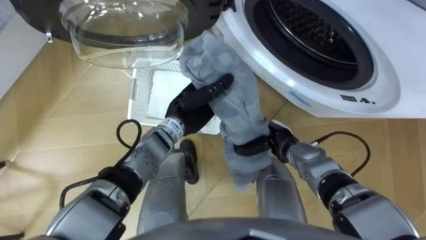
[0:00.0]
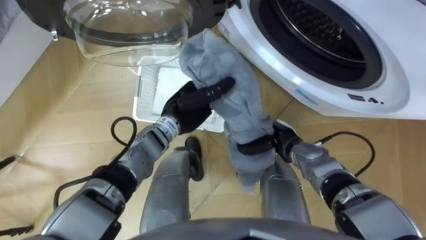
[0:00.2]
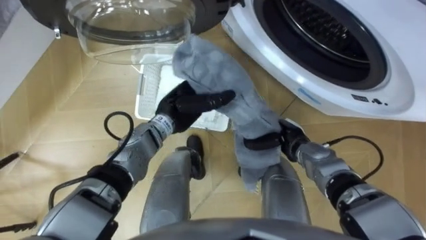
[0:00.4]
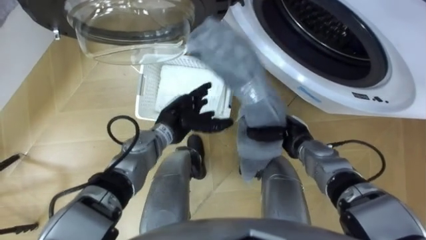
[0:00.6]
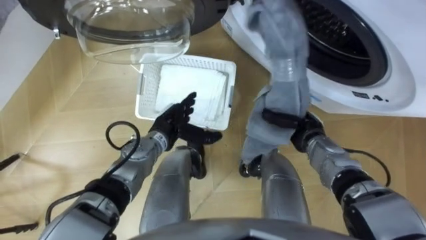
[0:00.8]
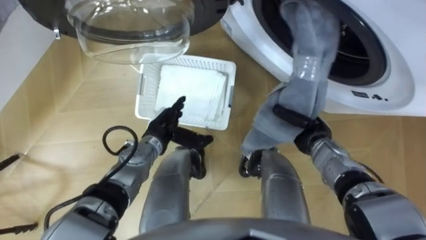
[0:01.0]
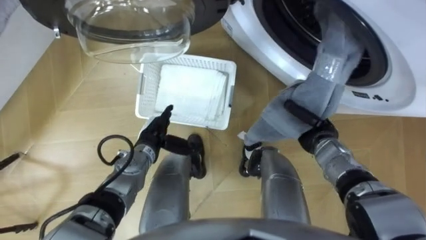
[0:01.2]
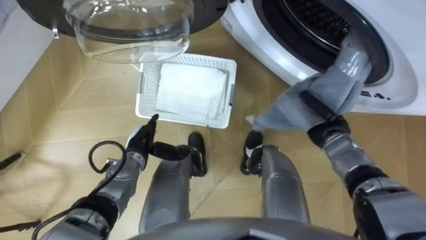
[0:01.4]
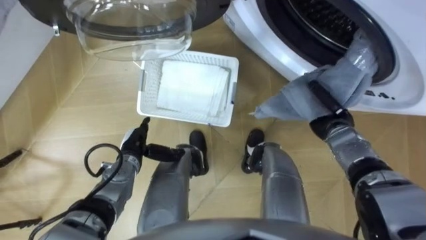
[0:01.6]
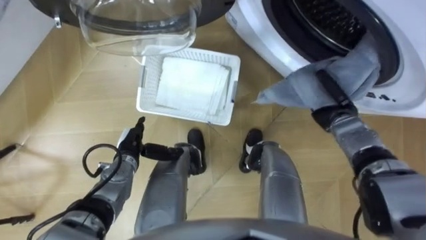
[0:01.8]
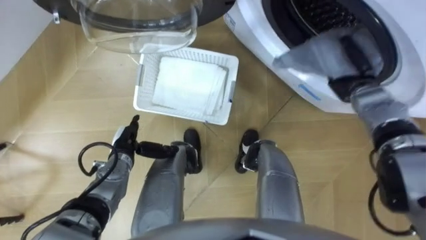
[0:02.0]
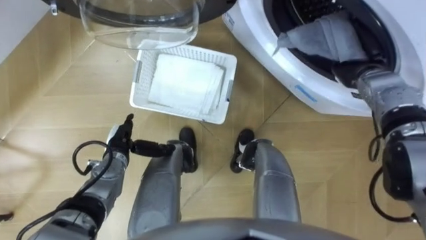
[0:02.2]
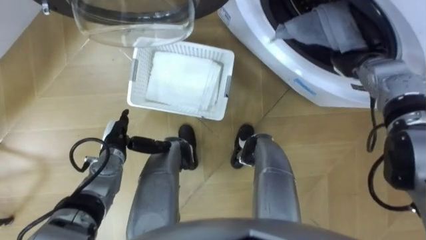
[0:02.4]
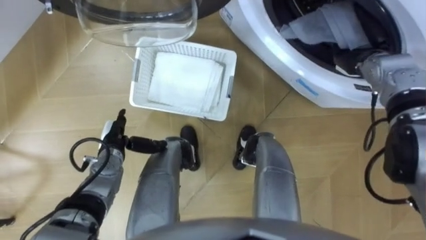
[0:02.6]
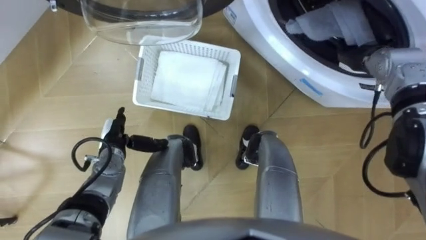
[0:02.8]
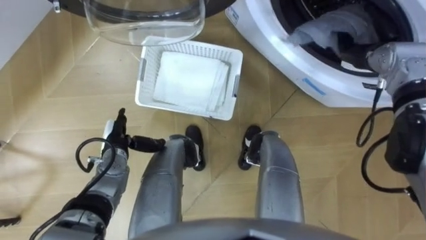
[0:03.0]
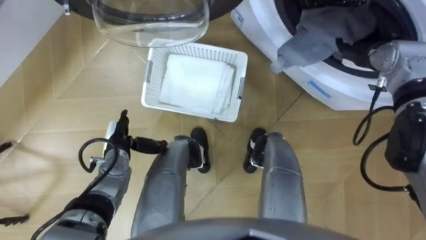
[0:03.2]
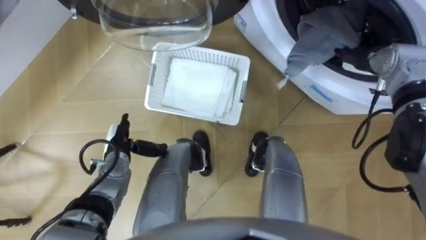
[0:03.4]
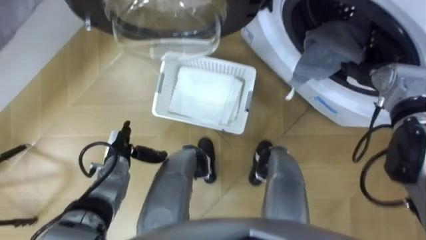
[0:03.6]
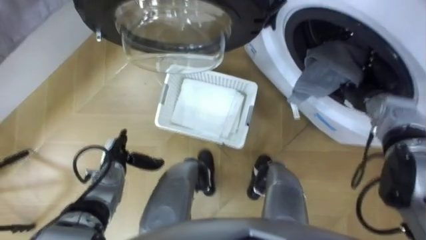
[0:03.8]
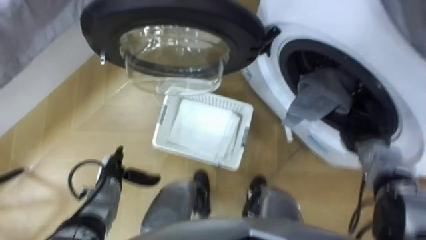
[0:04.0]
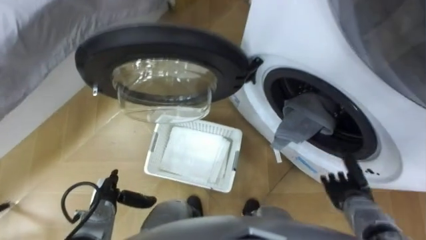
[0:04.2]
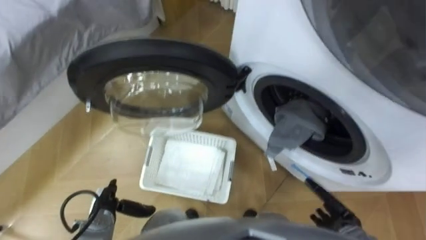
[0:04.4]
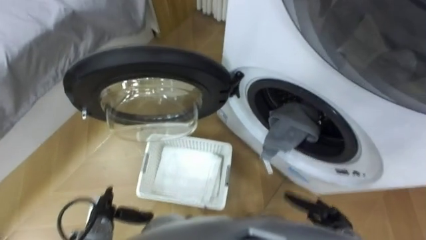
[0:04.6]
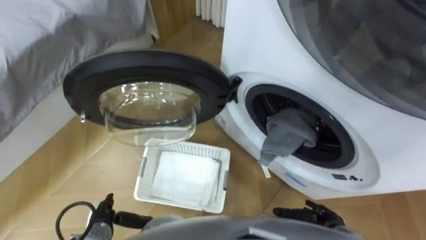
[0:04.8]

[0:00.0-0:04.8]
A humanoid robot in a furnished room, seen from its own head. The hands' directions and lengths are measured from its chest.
Task of the whole recording: Take the towel from the basket and put it into the washing machine.
0:00.0 to 0:01.6: The right hand heads to the right, covering about 10 cm, while the left hand is displaced to the left, downward and backward by roughly 20 cm, and opens its fingers.
0:01.6 to 0:03.2: The right hand goes about 15 cm upward and forward, and opens up.
0:03.2 to 0:04.8: The left hand goes about 15 cm backward; the right hand shifts approximately 40 cm backward and downward.

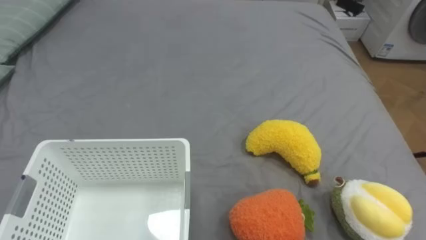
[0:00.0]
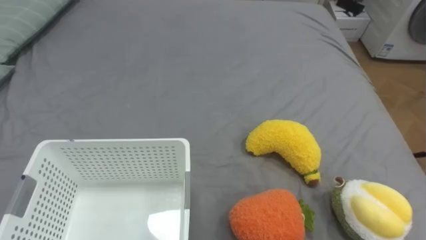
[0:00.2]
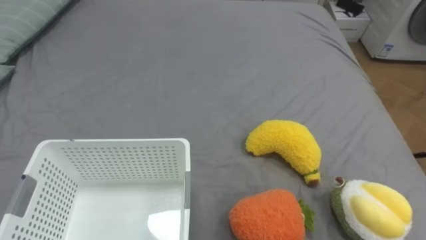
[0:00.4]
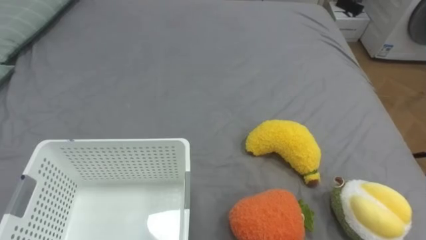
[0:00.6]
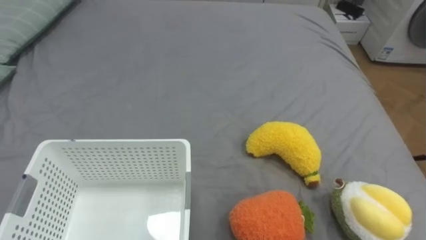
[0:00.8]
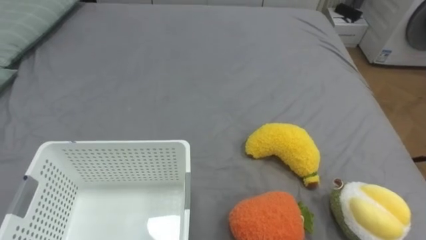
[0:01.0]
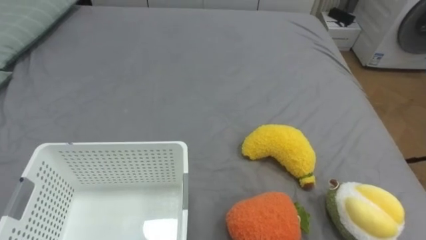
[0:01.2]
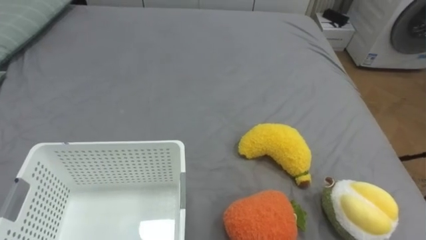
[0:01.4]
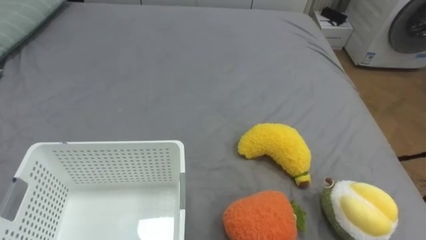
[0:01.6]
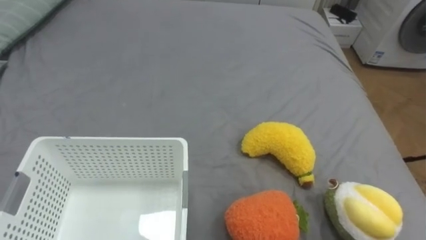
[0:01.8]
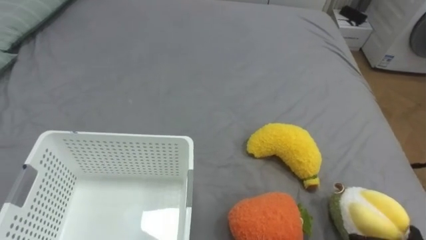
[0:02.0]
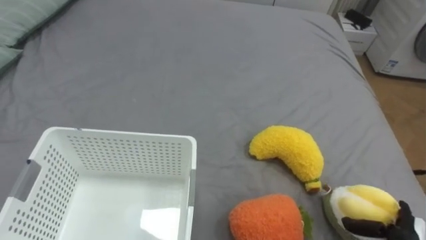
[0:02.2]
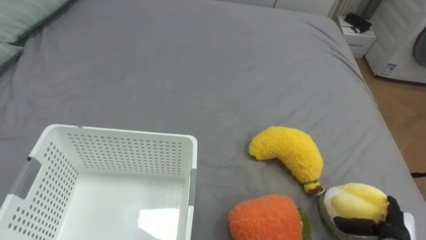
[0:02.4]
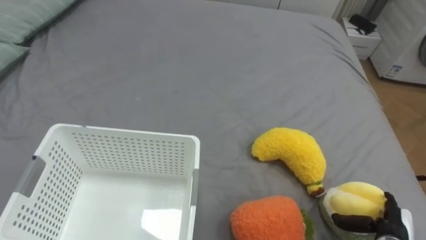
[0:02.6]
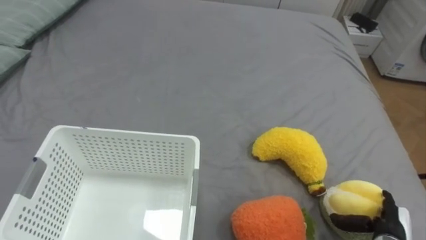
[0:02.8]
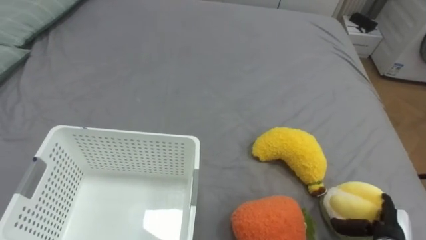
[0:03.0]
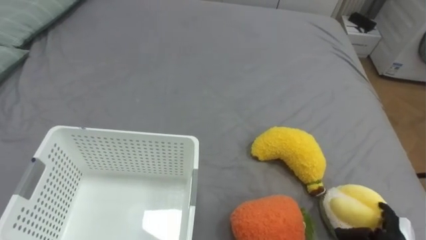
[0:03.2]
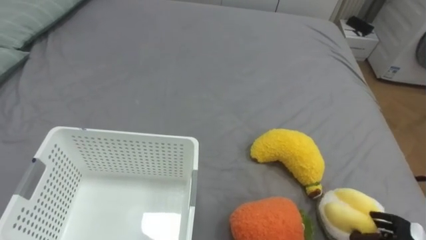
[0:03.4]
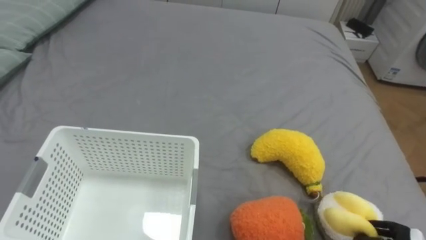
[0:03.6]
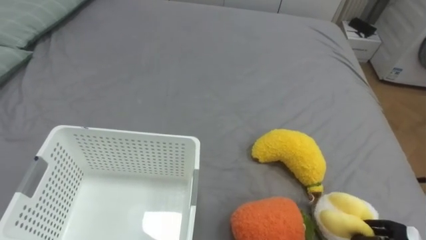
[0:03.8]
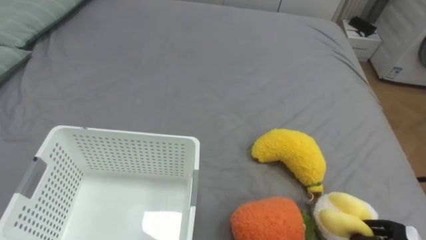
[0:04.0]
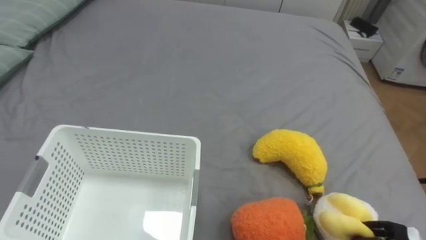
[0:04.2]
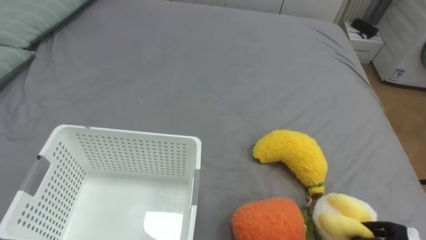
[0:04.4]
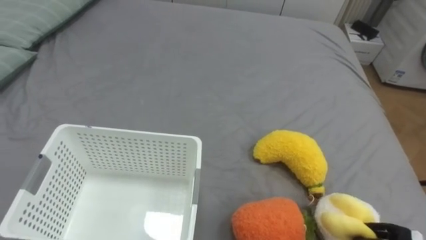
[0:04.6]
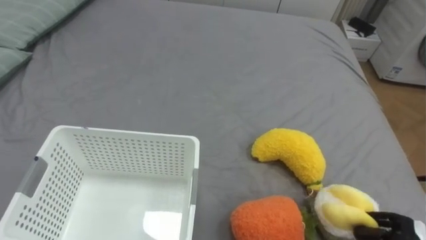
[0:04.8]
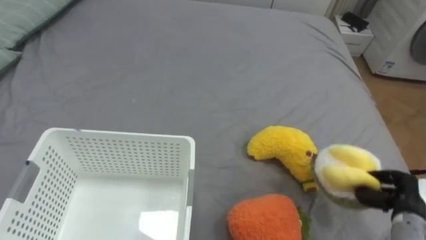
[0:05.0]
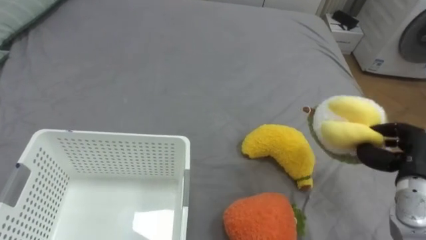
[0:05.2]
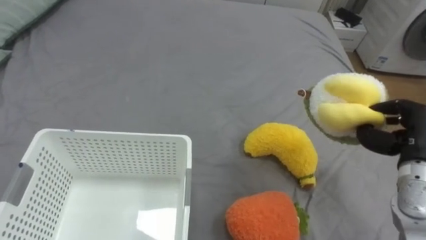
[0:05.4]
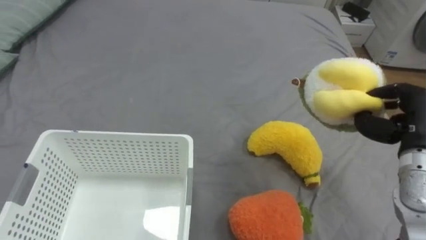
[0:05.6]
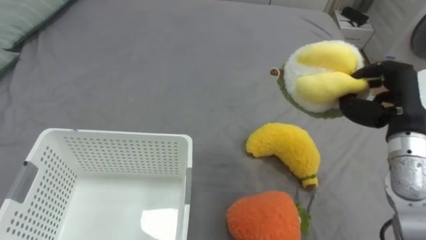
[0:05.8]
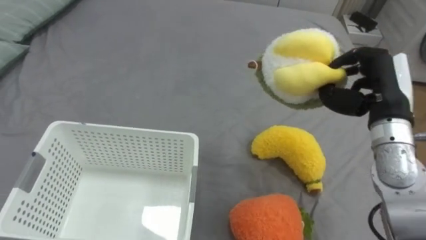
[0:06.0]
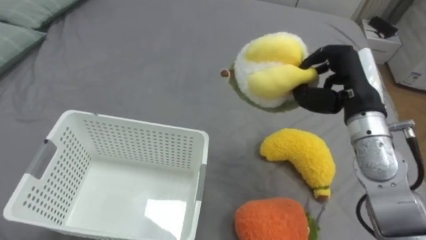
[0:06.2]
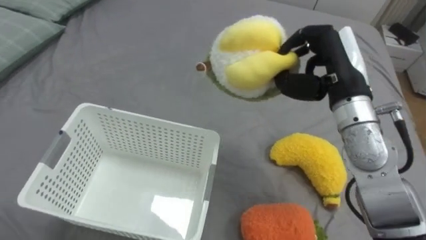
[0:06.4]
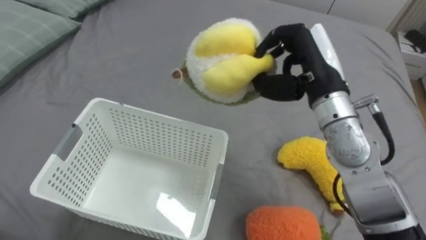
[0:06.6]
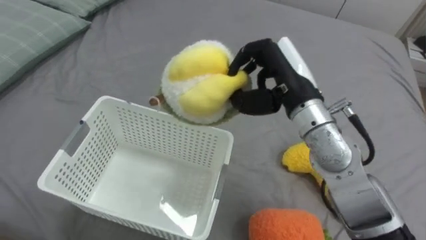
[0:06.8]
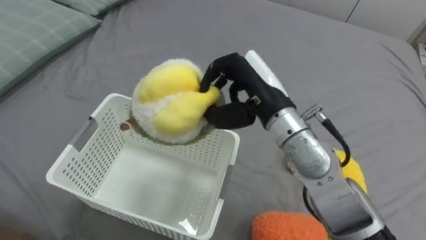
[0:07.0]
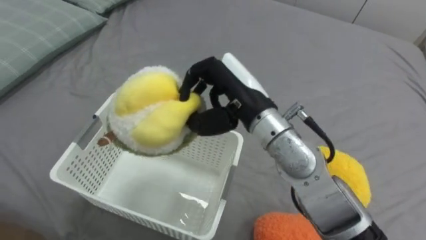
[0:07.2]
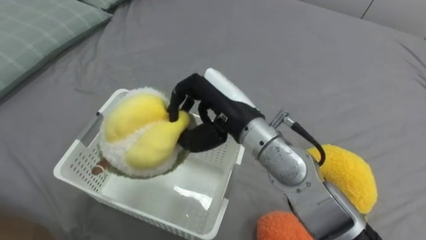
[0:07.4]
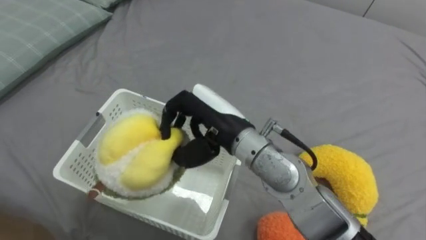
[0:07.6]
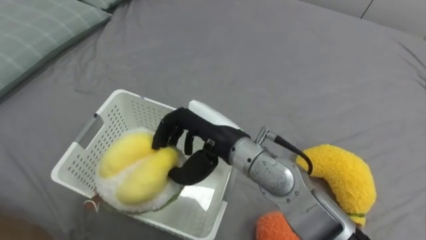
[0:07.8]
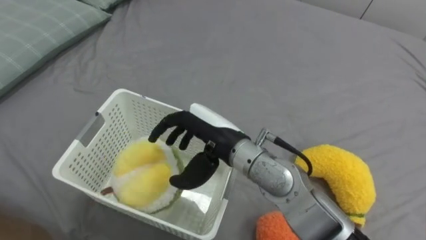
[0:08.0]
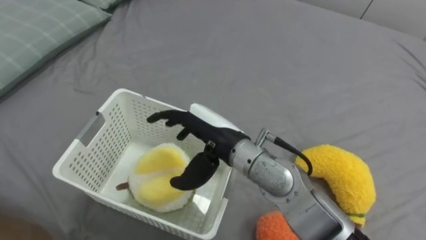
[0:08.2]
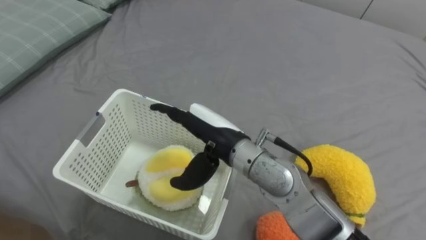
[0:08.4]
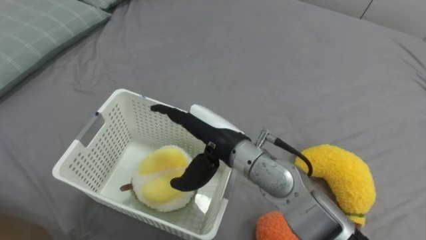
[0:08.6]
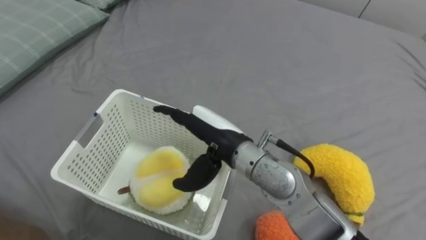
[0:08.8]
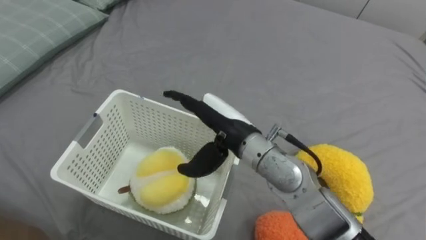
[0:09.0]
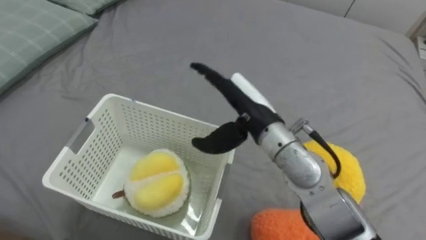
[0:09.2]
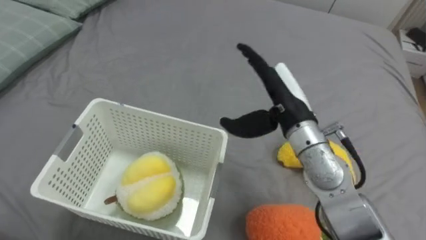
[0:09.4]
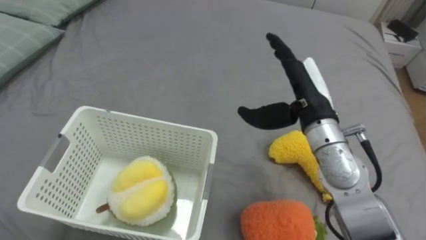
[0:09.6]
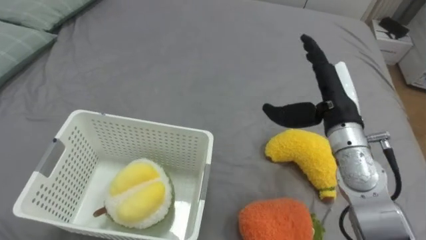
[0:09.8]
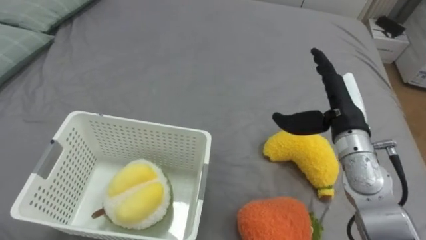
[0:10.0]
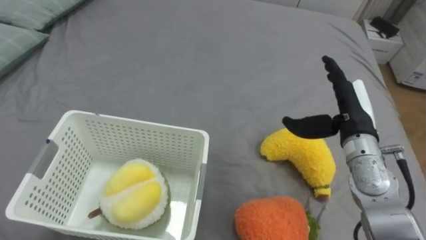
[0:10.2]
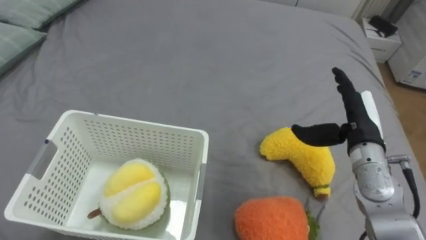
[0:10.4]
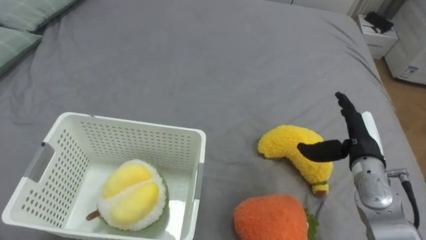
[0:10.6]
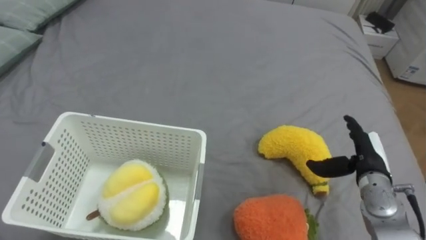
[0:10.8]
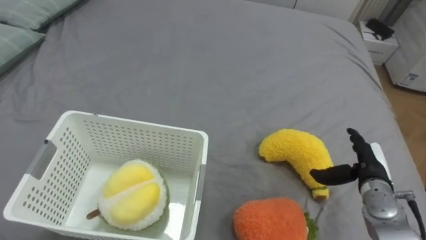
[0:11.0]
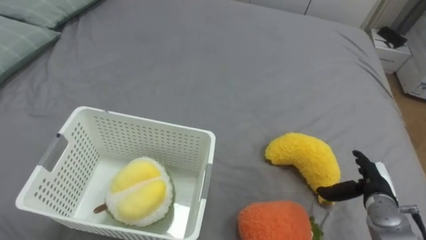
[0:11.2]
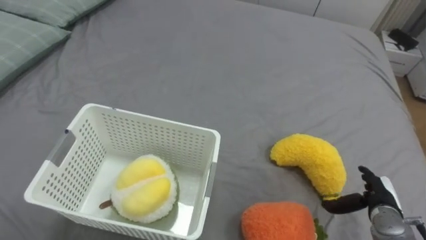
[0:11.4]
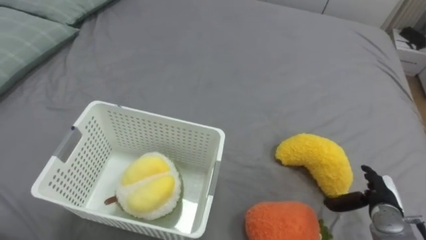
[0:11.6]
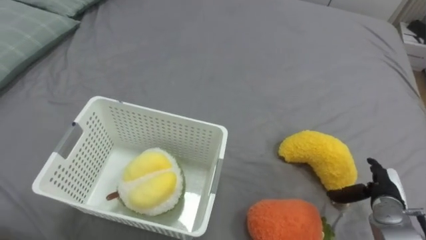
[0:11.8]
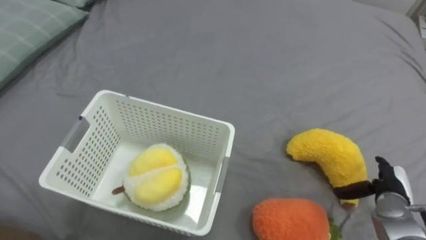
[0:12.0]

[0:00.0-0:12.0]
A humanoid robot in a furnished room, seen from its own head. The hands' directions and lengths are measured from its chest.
Task of the whole recording: Put the toys on the bed into the basket on the left.
0:06.0 to 0:07.6: The right hand travels to the left by about 25 cm.
0:07.6 to 0:09.0: The right hand opens.
0:09.0 to 0:10.4: The right hand shifts approximately 25 cm to the right.
0:10.4 to 0:12.0: The right hand is displaced downward and to the right by about 20 cm.
